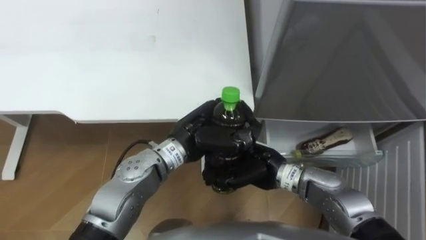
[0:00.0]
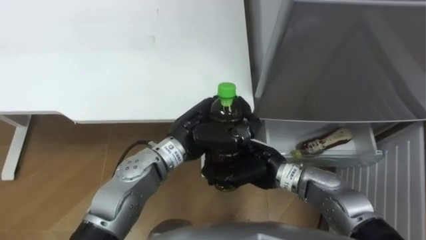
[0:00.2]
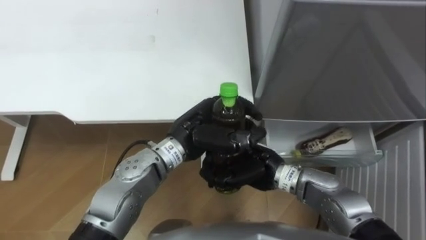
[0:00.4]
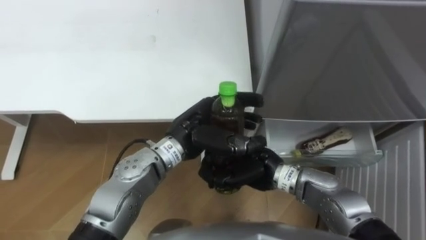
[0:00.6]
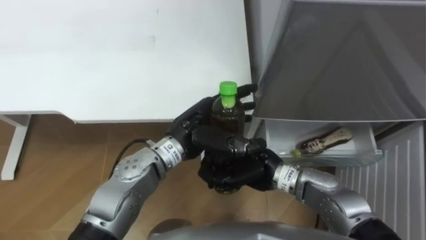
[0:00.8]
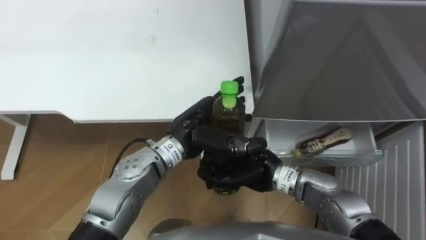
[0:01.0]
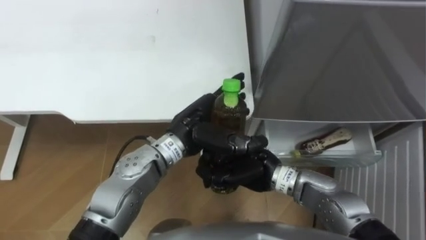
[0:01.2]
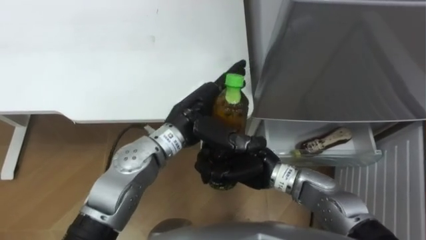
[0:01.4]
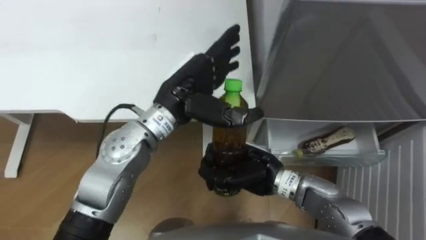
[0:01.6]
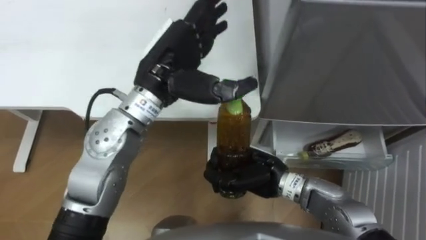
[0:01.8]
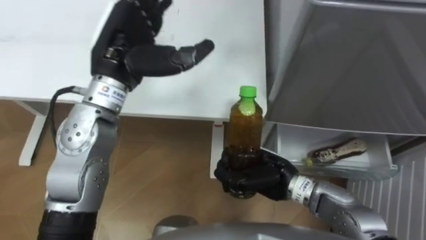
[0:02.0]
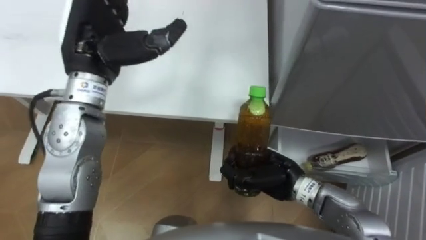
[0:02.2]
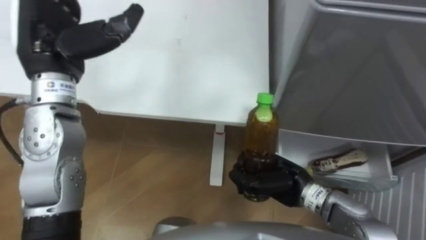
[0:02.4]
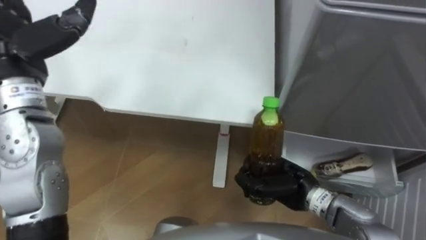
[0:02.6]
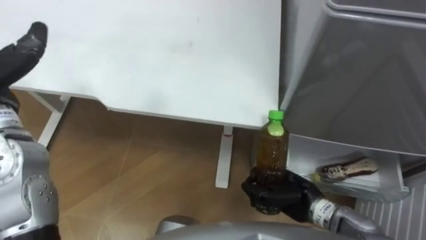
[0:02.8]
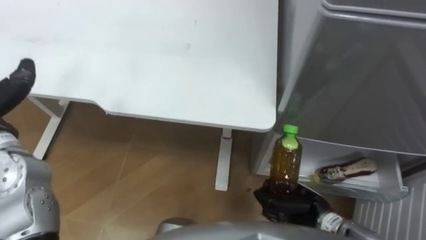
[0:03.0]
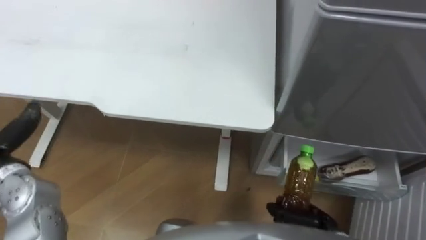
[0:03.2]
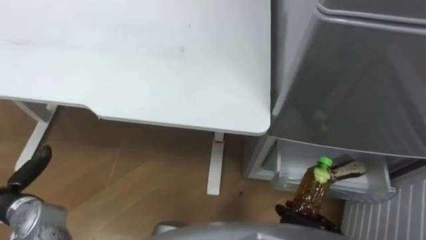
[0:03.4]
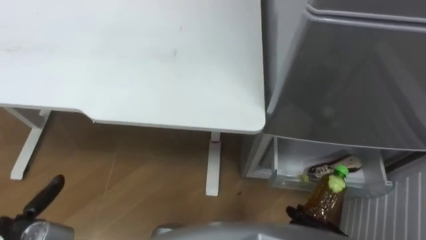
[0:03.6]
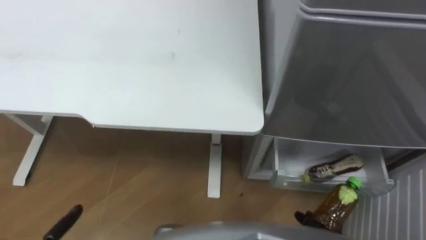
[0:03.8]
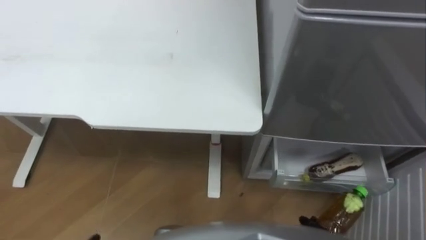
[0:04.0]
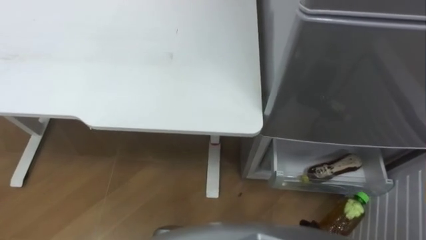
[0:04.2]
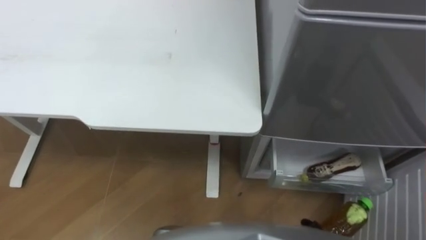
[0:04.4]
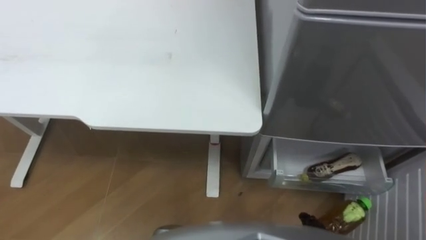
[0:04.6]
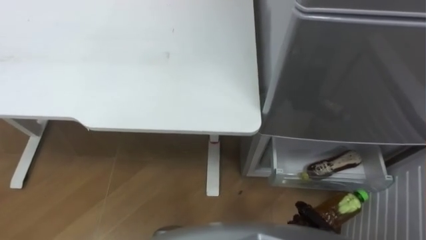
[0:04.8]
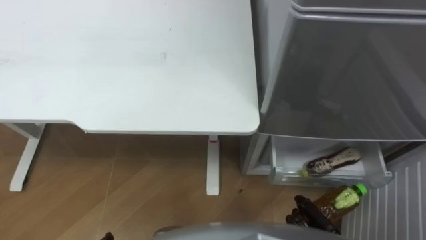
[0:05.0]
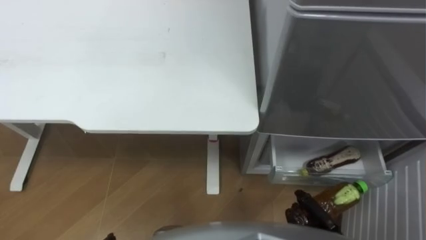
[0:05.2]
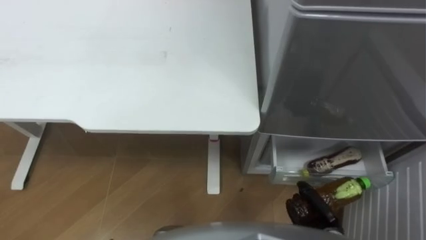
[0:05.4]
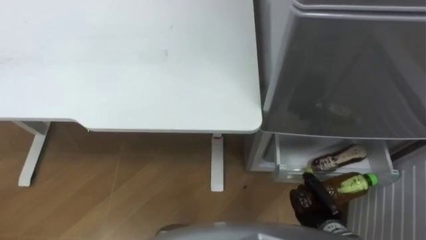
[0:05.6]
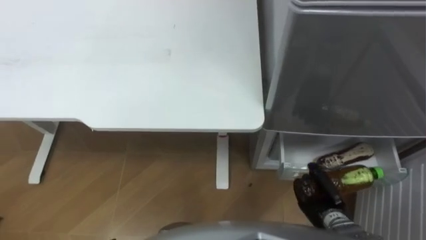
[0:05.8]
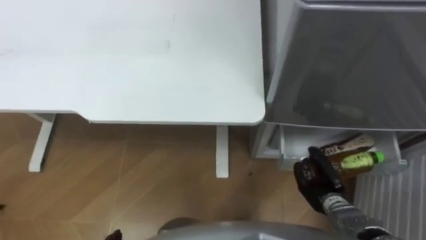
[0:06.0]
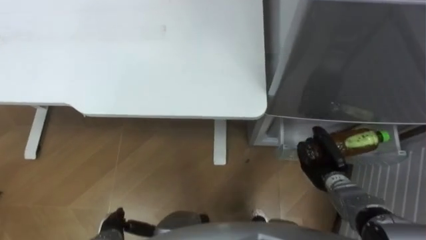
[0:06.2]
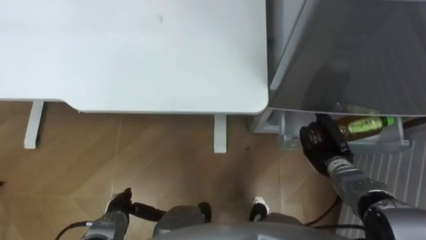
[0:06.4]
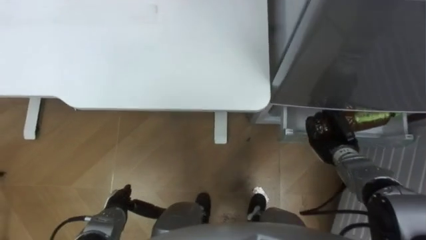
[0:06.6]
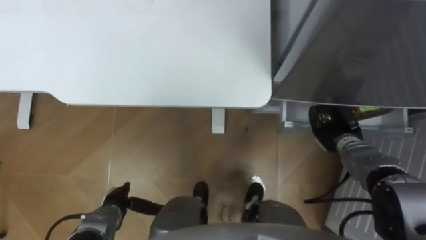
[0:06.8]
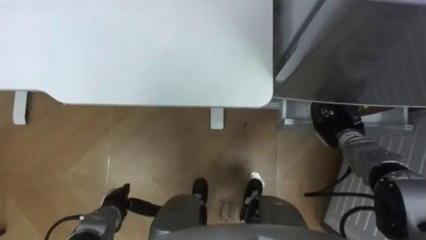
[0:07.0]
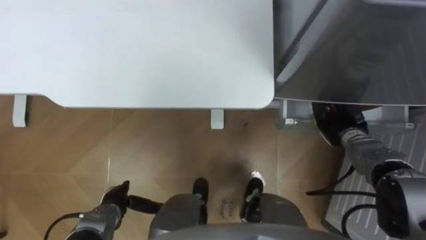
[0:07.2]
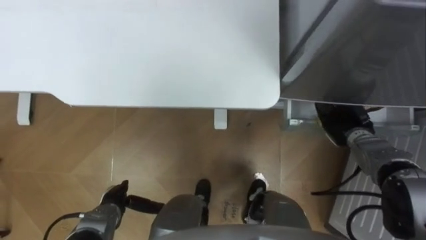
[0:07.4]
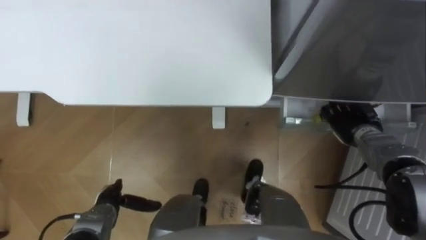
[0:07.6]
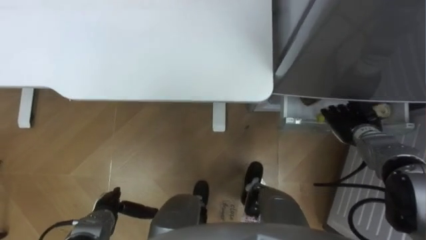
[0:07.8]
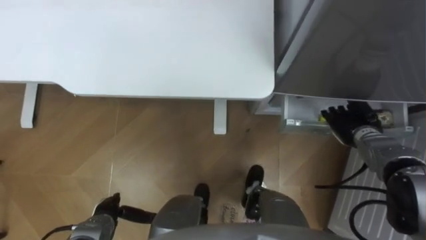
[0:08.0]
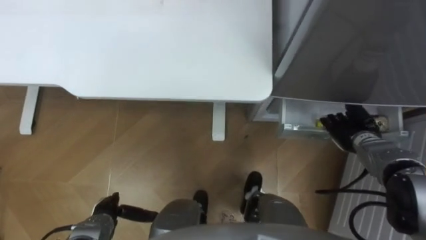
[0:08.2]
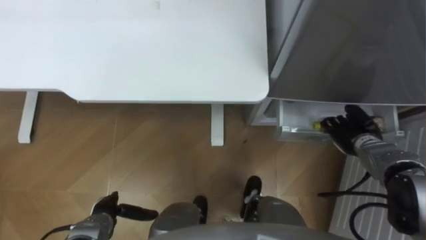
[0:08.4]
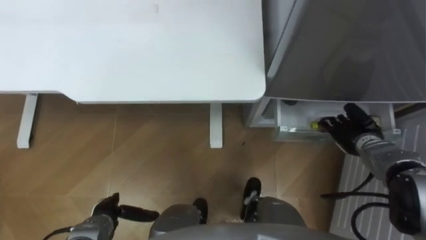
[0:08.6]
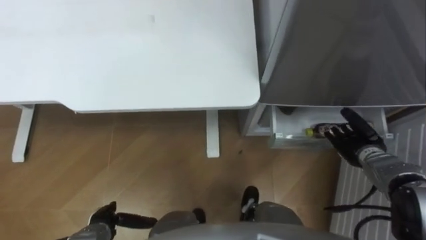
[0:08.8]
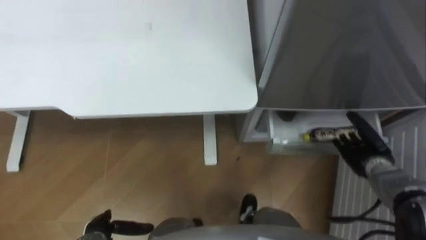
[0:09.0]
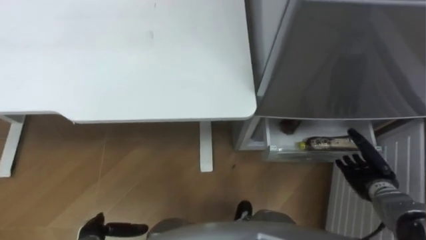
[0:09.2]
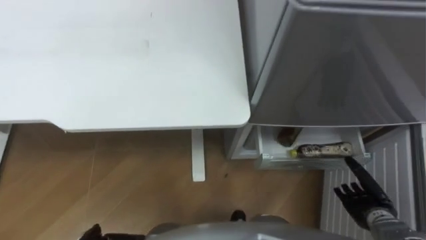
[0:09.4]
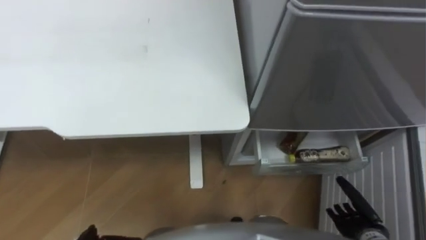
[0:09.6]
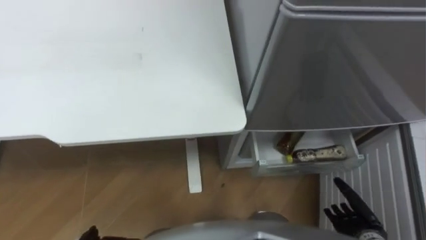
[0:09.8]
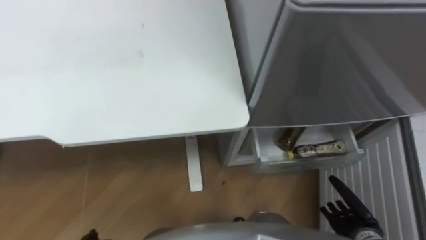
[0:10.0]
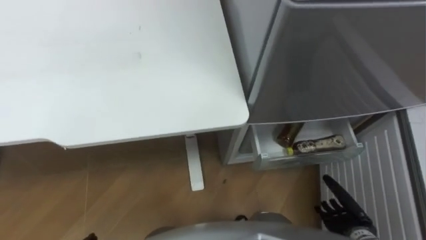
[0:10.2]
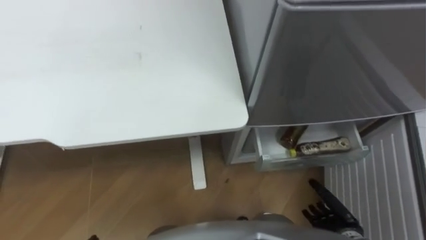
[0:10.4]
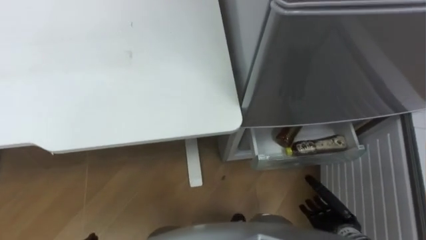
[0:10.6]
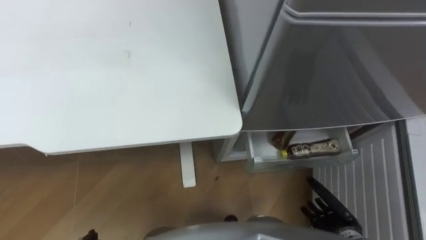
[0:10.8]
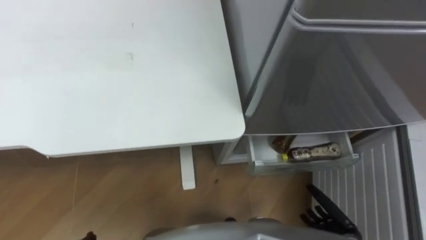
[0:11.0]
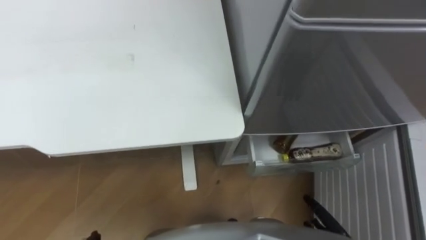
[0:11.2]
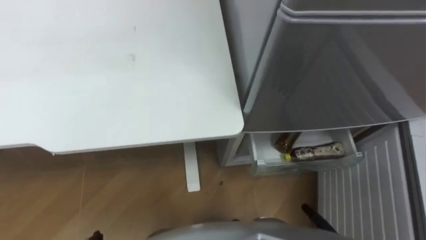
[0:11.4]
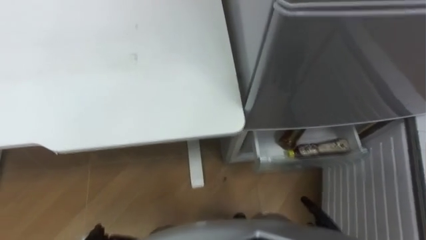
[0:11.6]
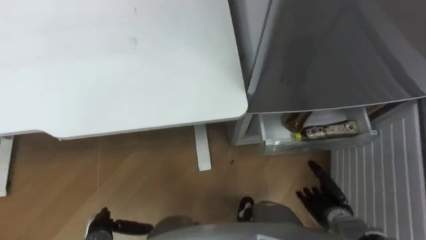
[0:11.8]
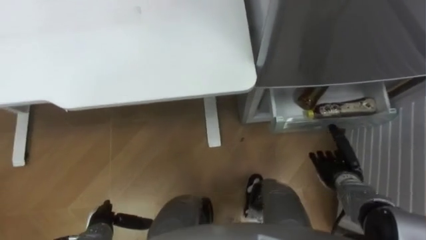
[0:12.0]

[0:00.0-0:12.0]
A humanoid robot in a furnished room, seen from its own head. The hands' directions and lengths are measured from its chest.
Task of the whole recording: Place the drink on the table on the bottom shelf of the refrigerator, then close the drawer and the refrigerator door.
0.0 to 1.6 s: The left hand travels upward by approximately 10 cm, and opens.
1.6 to 3.0 s: The right hand shifts about 15 cm to the right, downward and backward.
6.0 to 7.6 s: The right hand moves forward, upward and to the right, some 15 cm, and opens.
7.6 to 9.0 s: The two hands go about 5 cm backward.
9.0 to 10.4 s: The right hand heads backward, downward and to the left, covering roughly 20 cm.

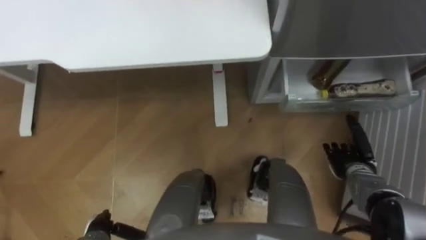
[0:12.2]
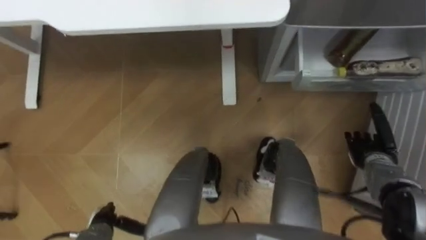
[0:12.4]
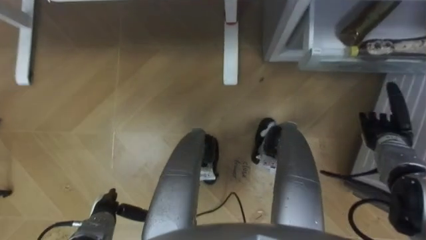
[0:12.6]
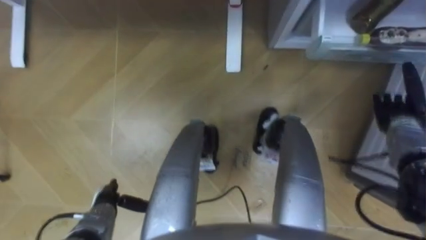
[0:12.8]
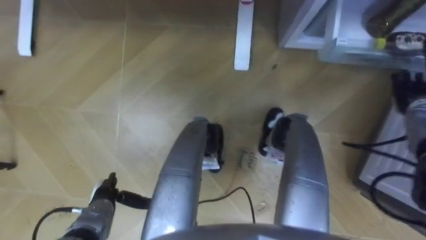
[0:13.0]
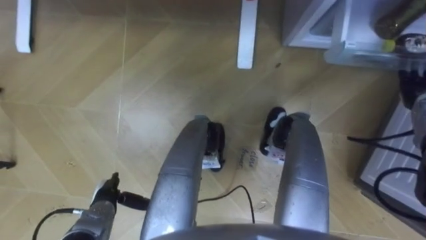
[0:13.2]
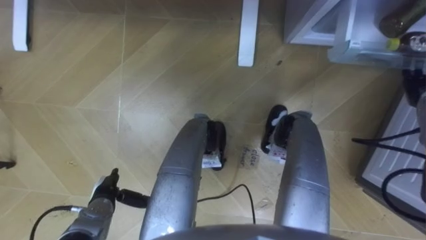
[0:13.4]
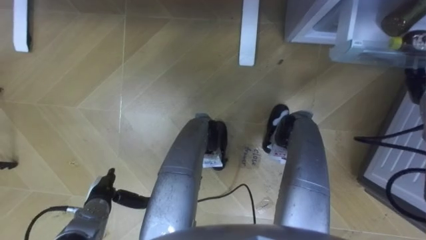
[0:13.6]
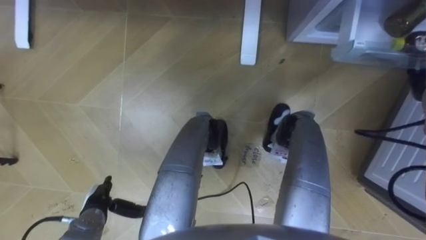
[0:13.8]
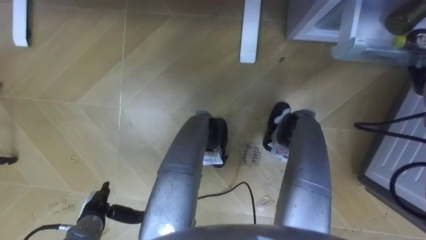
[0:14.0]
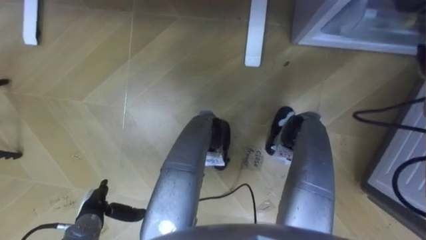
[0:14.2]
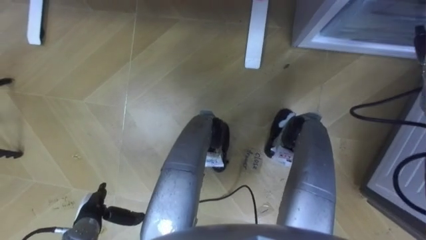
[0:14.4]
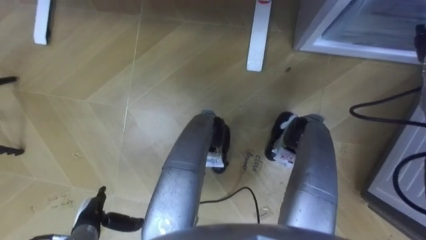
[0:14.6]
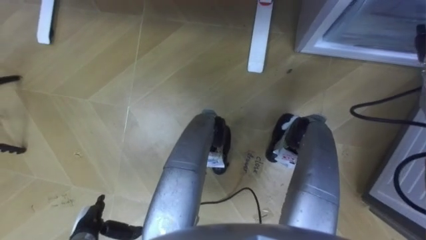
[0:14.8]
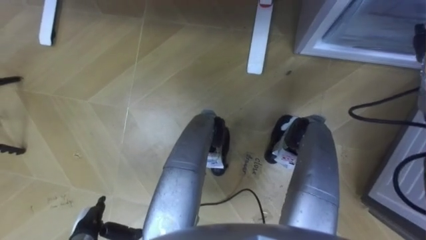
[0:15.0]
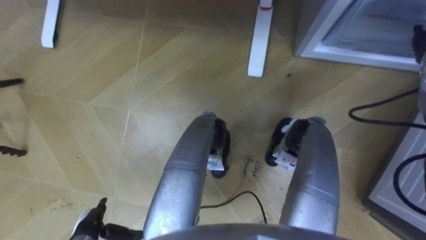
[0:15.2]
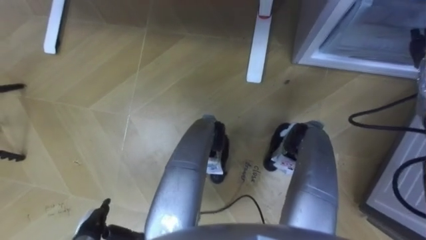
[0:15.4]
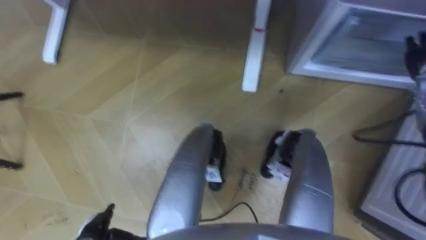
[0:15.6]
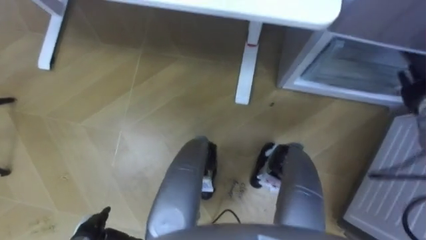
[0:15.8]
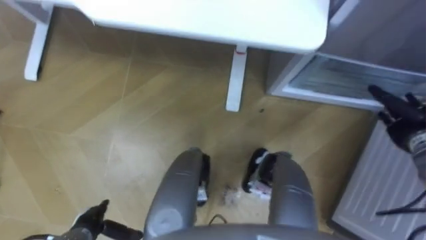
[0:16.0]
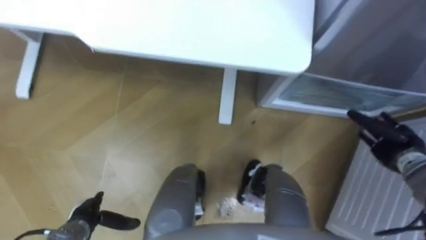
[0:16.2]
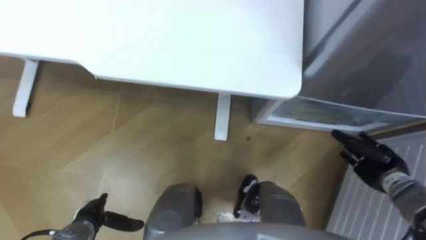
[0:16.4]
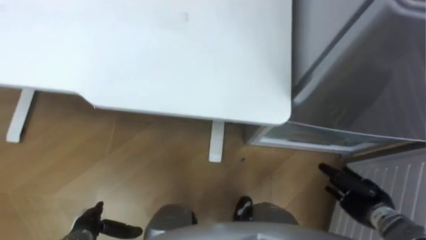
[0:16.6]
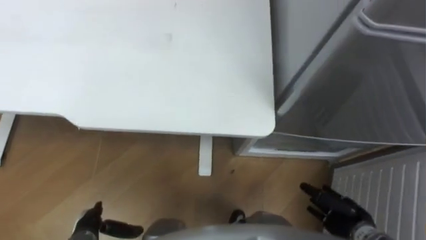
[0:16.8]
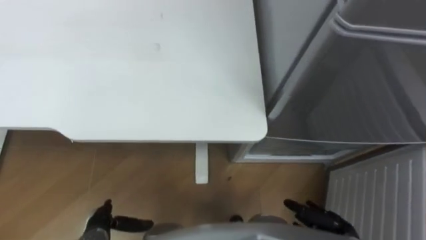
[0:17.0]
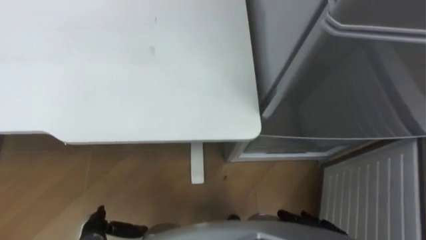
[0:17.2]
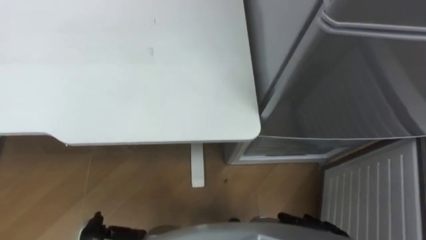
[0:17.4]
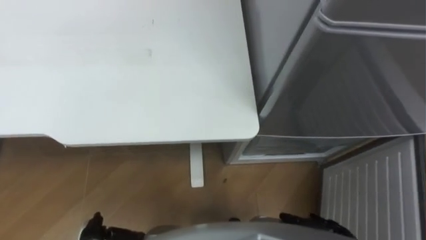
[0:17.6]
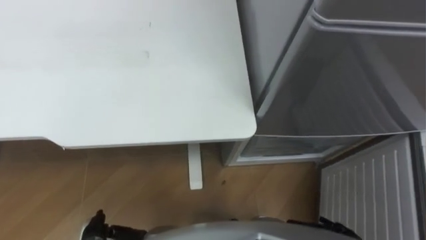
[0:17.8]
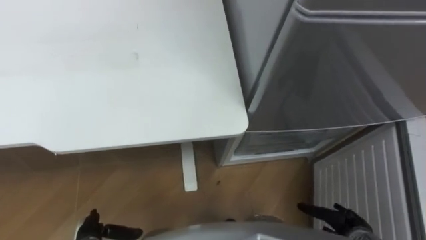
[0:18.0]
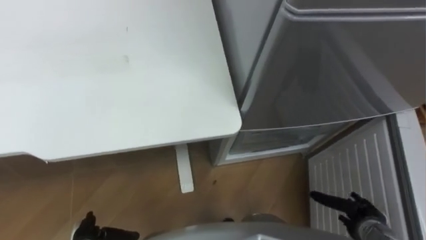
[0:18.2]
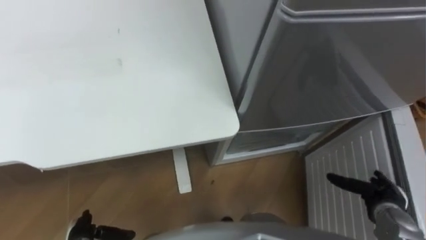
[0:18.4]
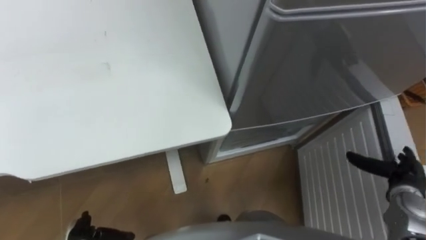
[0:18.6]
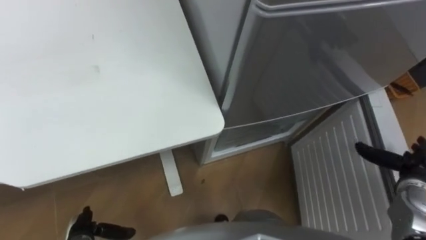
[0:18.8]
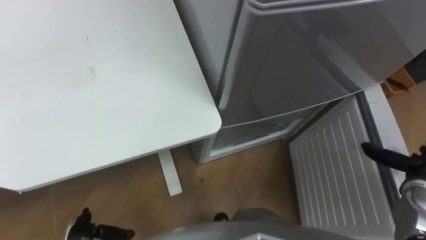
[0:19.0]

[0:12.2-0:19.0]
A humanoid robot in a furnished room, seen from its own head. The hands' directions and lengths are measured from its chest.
Task of the whole recording: Place the drink on the table on the bottom shelf of the refrigerator, then close the drawer and the refrigerator door.
12.2 to 13.6 s: The left hand is displaced forward by approximately 5 cm; the right hand shifts about 20 cm upward, forward and to the right.
13.6 to 15.0 s: The left hand heads backward, covering roughly 5 cm.
